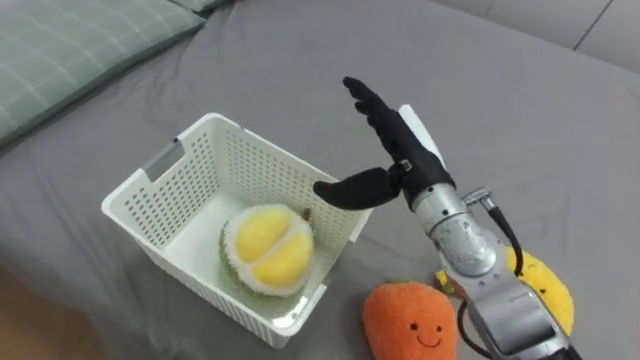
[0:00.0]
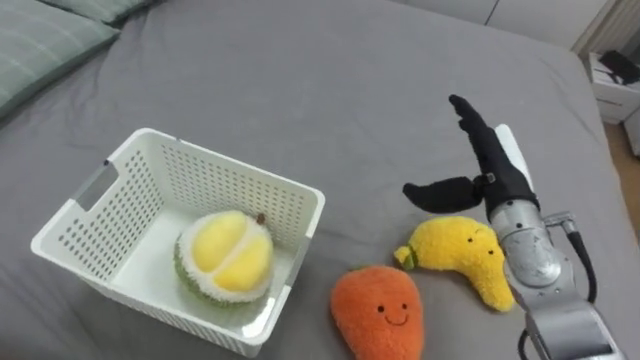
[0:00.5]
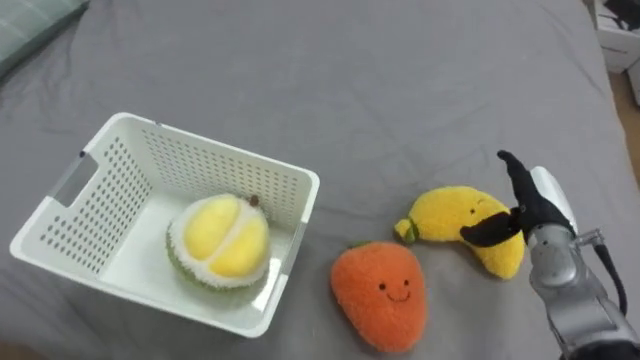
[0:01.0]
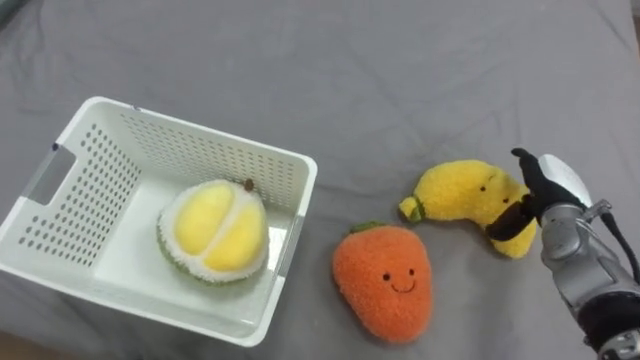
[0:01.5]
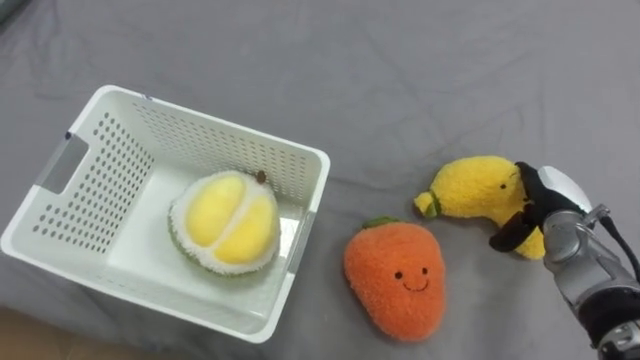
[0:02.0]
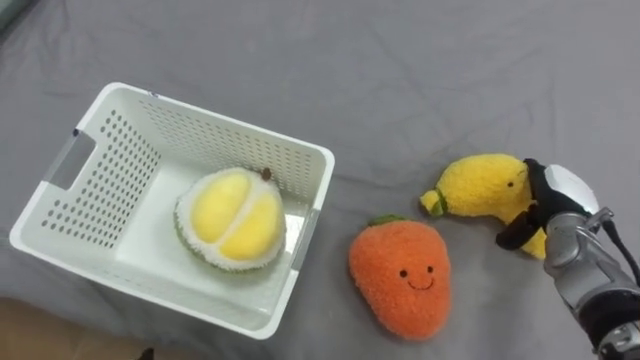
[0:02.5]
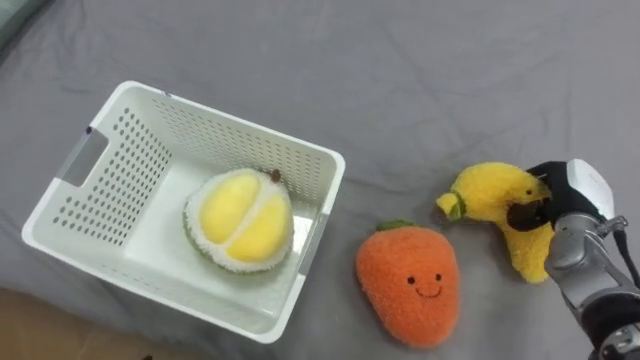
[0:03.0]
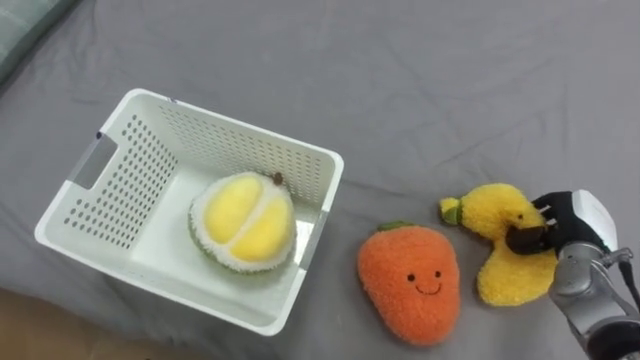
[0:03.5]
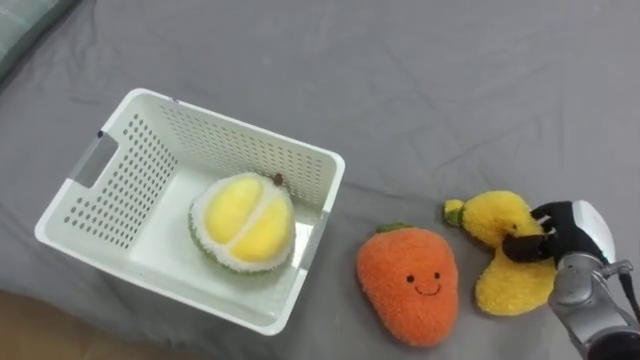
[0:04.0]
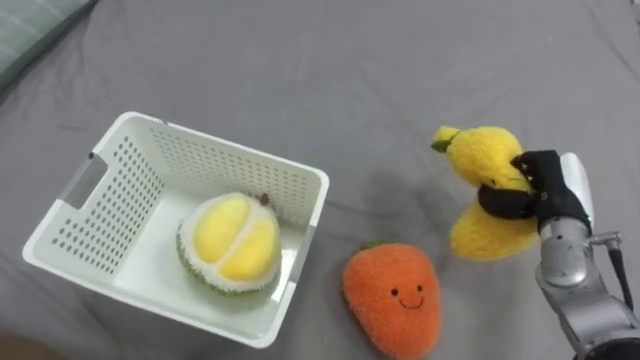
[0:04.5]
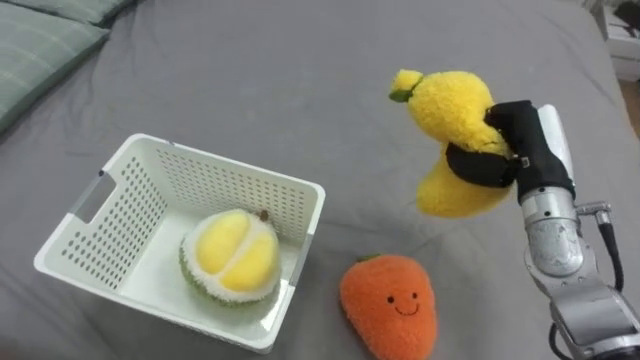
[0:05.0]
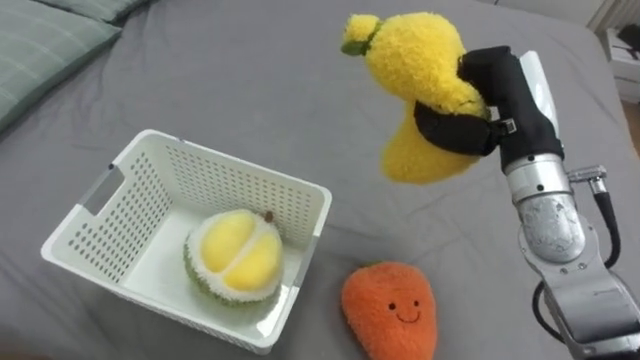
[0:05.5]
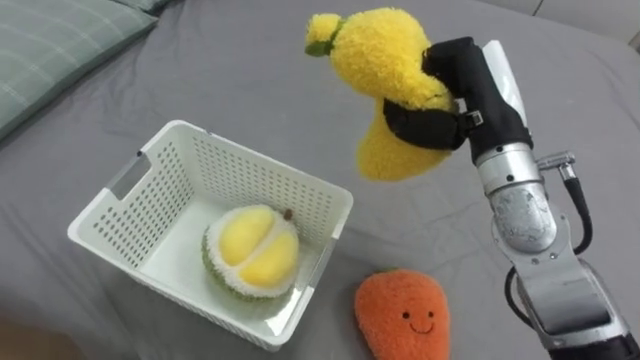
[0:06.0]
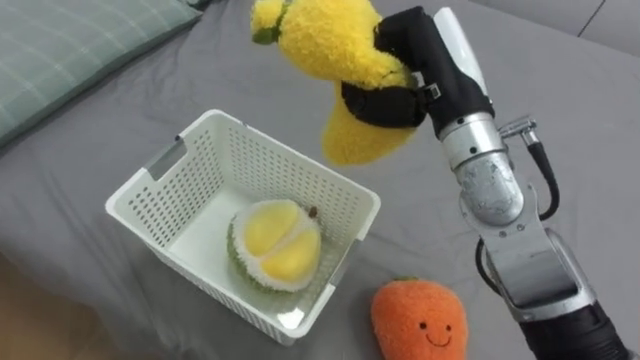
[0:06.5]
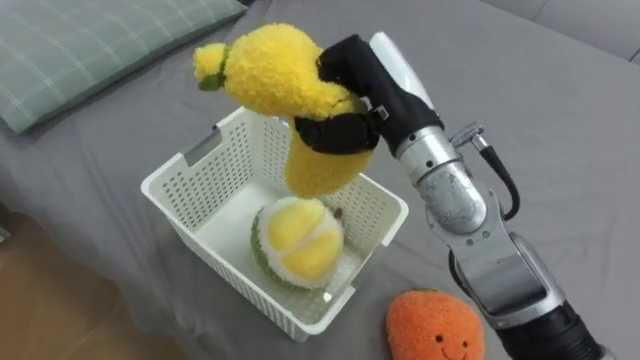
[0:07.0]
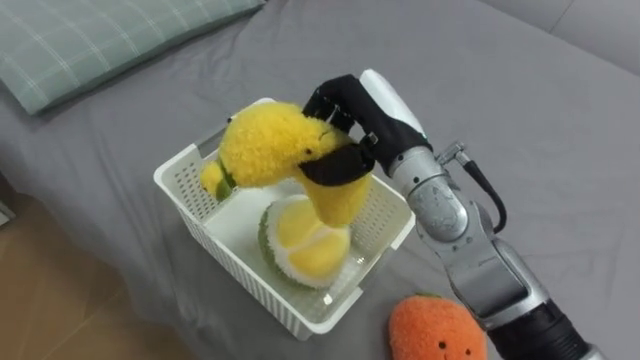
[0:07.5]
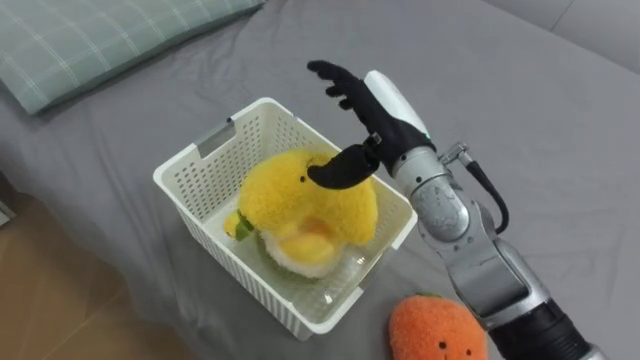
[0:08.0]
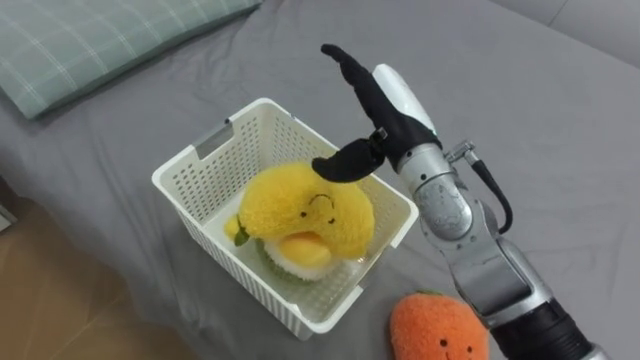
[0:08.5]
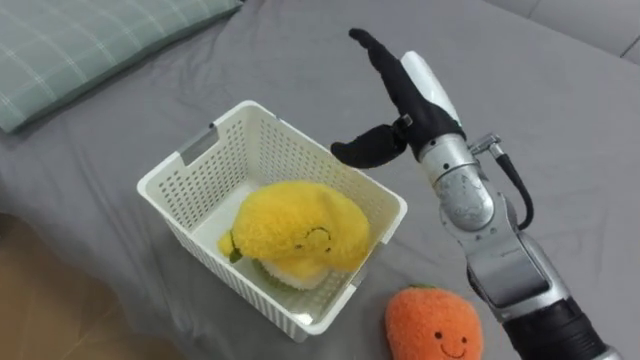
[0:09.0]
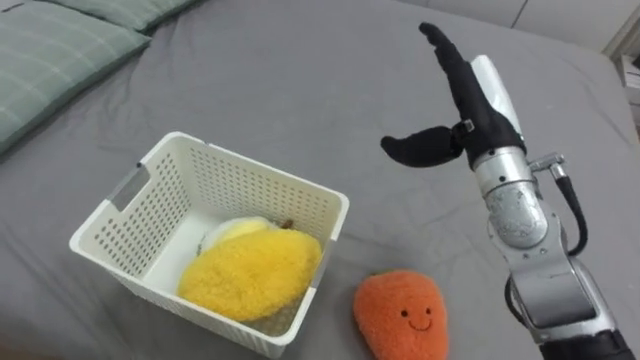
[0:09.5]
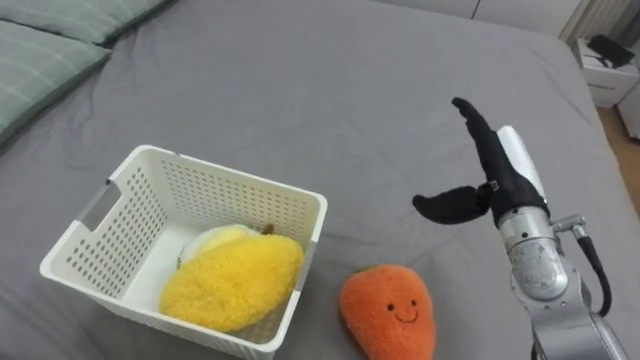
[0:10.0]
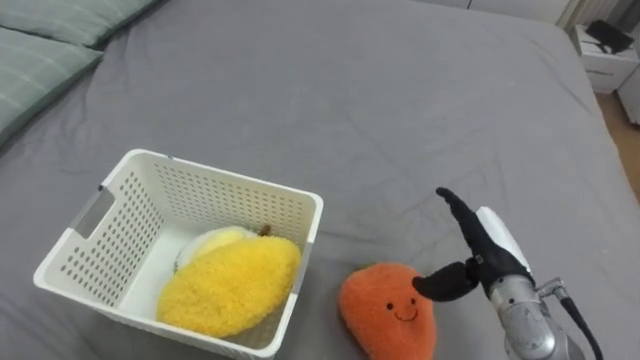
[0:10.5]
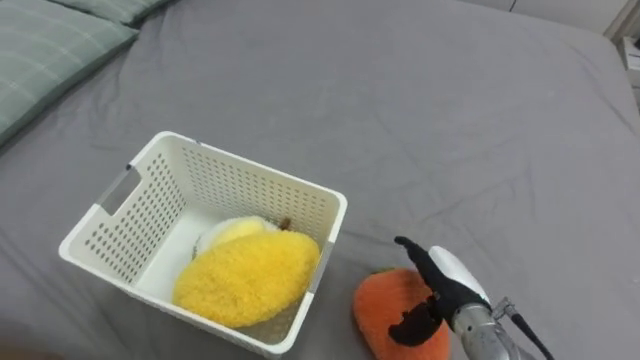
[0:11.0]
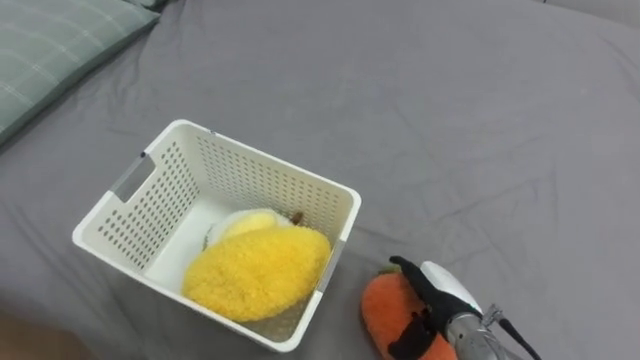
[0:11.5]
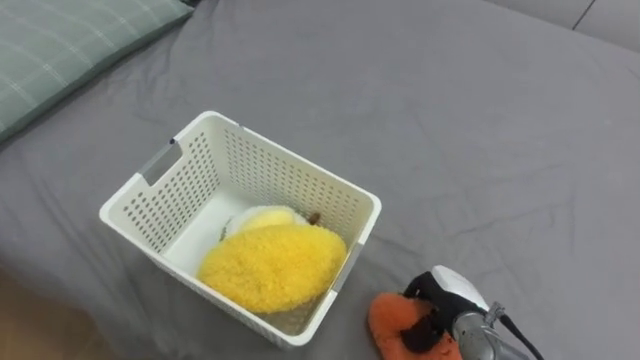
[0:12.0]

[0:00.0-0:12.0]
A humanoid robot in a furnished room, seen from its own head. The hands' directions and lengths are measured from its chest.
Task of the whole recording: Put the toys on the bed into the basket on the left.
0:00.0 to 0:02.0: The right hand is displaced to the right and downward by about 25 cm.
0:02.0 to 0:04.0: The right hand moves roughly 5 cm, and closes up.
0:04.0 to 0:06.0: The right hand moves upward and to the left, some 30 cm.
0:06.0 to 0:08.0: The right hand is displaced to the left by roughly 10 cm, and opens.
0:08.0 to 0:10.0: The right hand heads to the right and downward, covering roughly 15 cm.
0:10.0 to 0:12.0: The right hand is displaced downward and backward by roughly 20 cm, and closes.

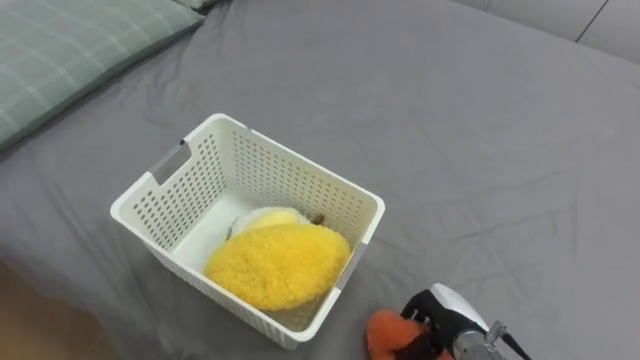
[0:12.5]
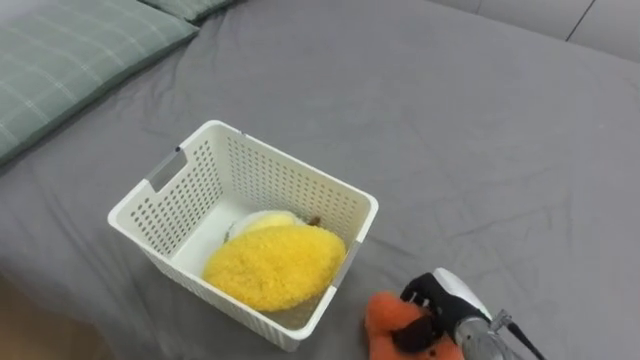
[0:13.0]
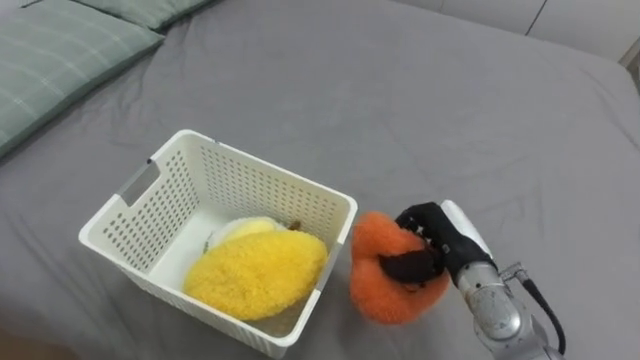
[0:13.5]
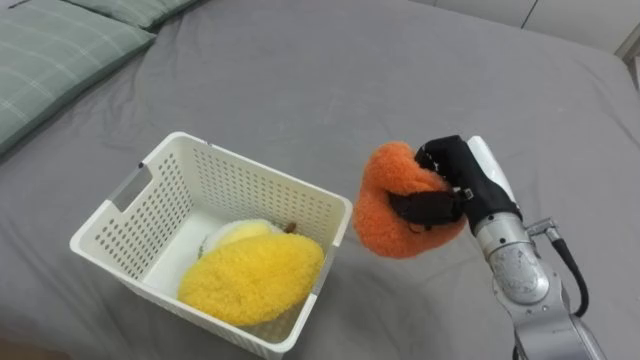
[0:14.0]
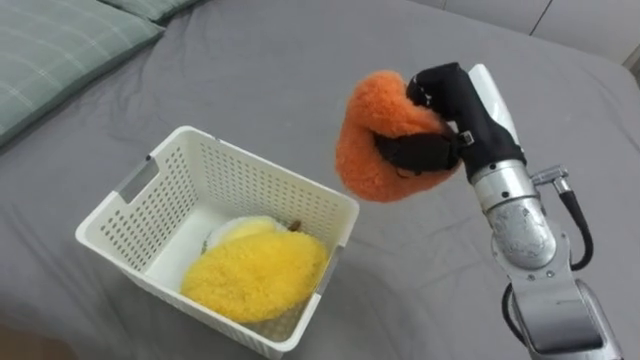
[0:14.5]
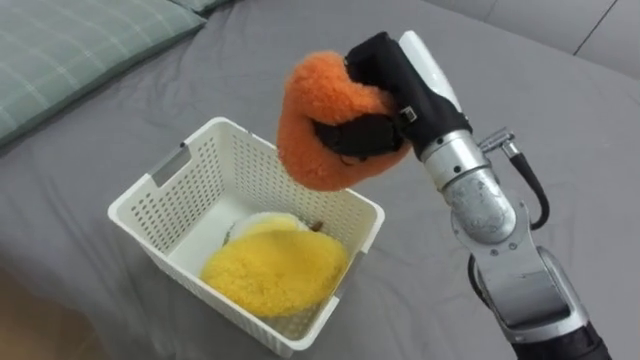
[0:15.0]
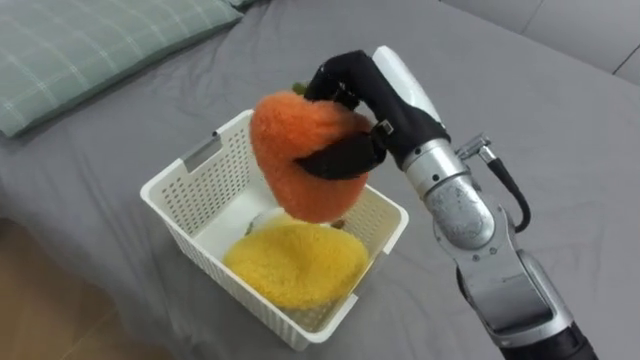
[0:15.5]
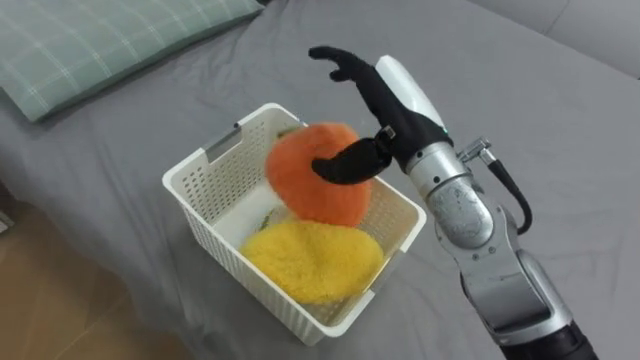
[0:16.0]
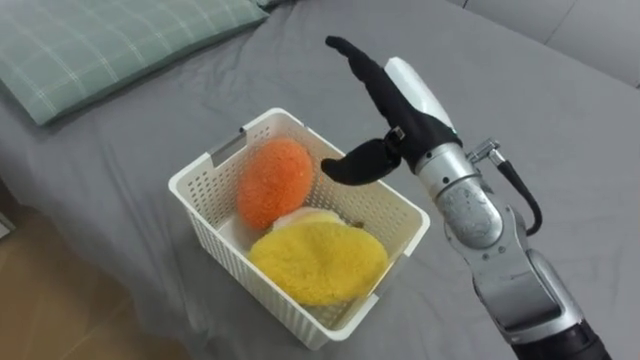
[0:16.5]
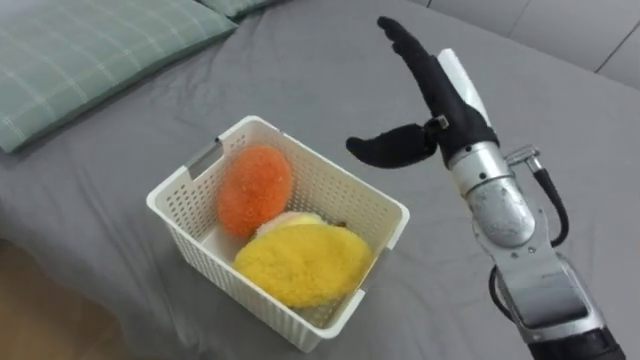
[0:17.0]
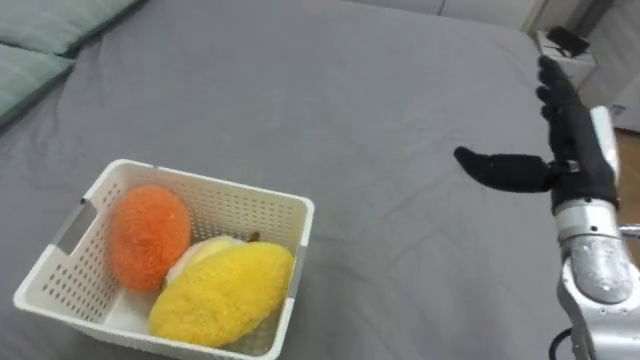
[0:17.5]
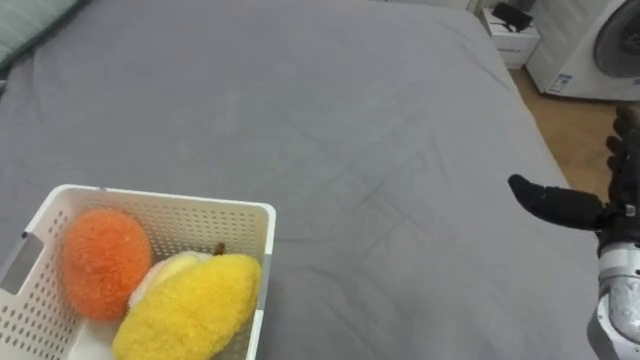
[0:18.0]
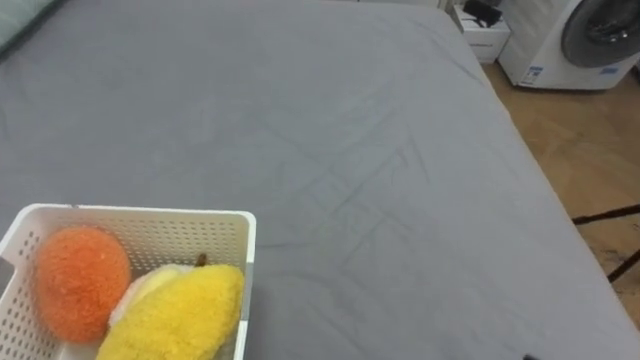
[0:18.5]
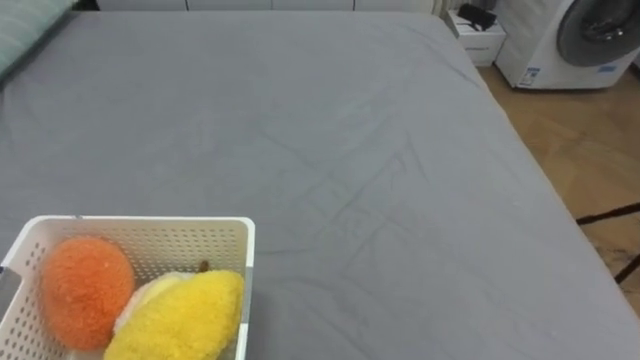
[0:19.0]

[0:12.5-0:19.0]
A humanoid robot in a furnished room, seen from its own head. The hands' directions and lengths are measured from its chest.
Task of the whole recording: Put the toys on the bed into the basket on the left.
0:12.5 to 0:14.5: The right hand travels upward and forward by some 30 cm.
0:14.5 to 0:17.0: The right hand moves roughly 10 cm to the left and comes back, and opens its fingers.

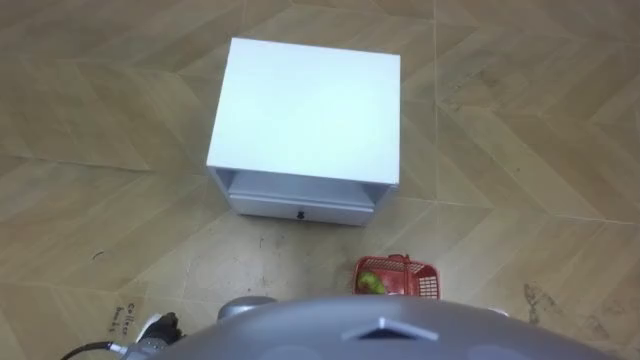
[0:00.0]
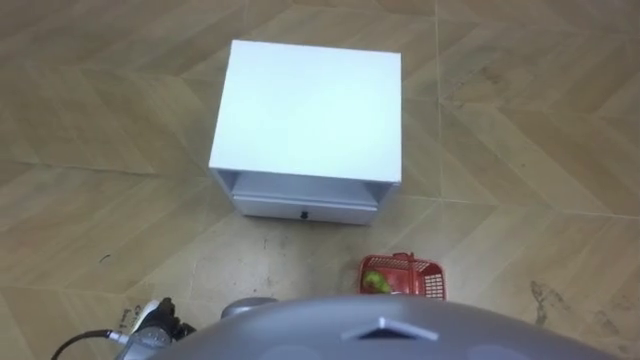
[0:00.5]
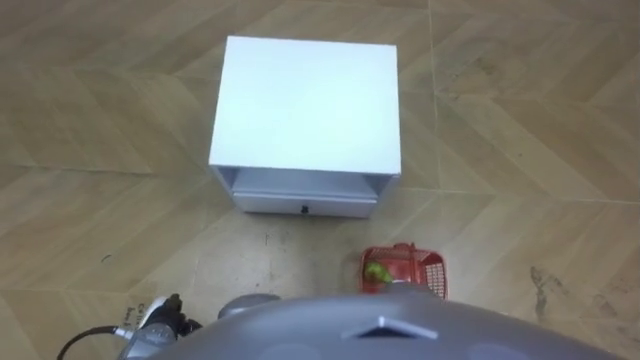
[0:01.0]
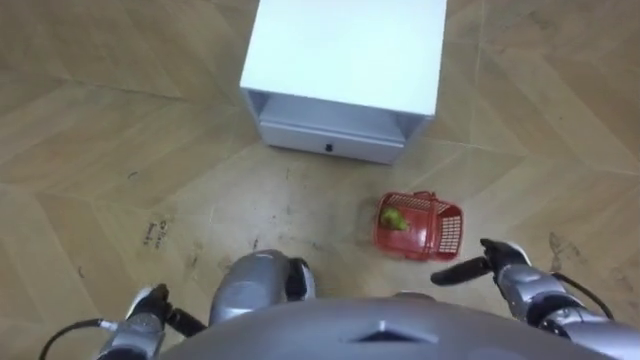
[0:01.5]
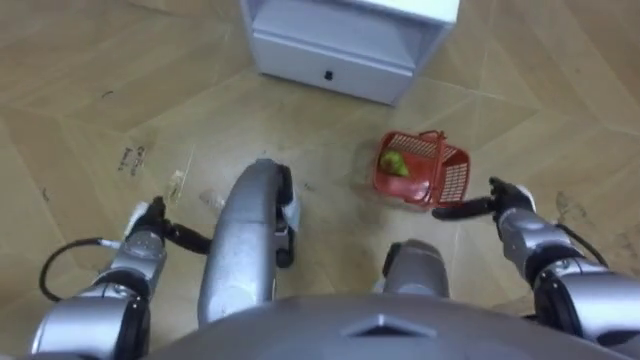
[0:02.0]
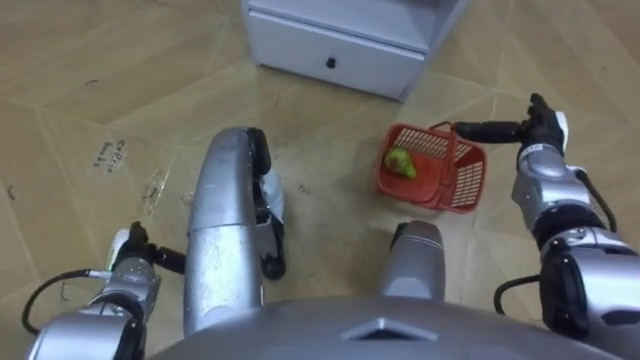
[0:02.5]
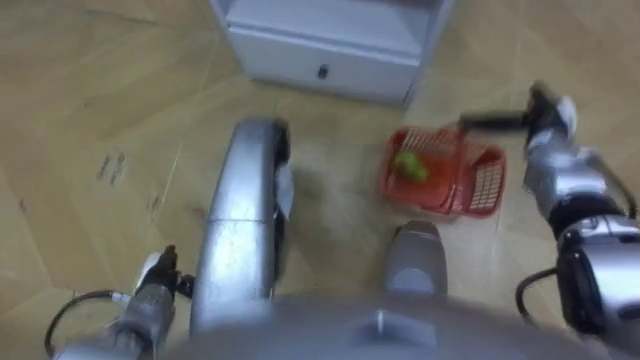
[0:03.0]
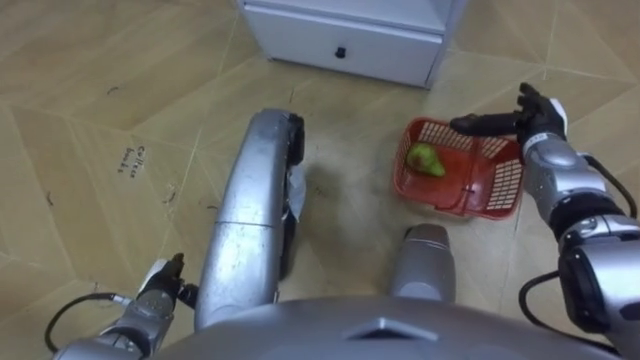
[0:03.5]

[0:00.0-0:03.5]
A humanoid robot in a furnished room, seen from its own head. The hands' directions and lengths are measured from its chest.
Task of the whole recording: Pick up the fruit basket from the floor and place it on the cabinet.
0:02.0 to 0:03.5: The left hand moves backward, approximately 10 cm. The right hand is displaced forward and upward by roughly 15 cm.
